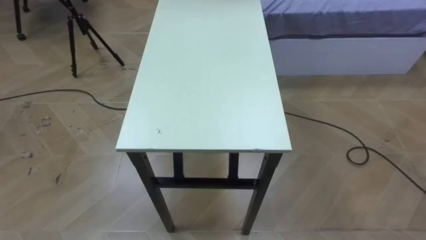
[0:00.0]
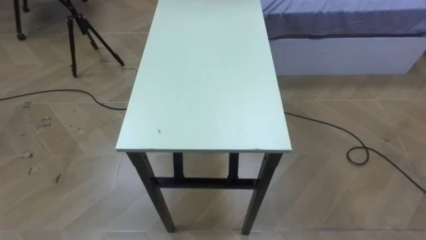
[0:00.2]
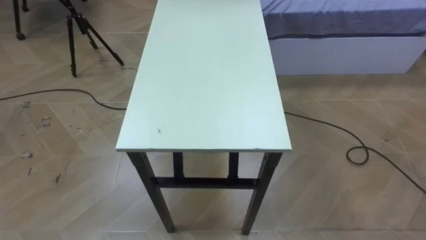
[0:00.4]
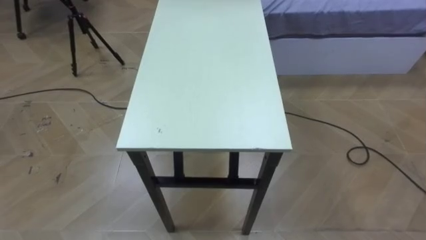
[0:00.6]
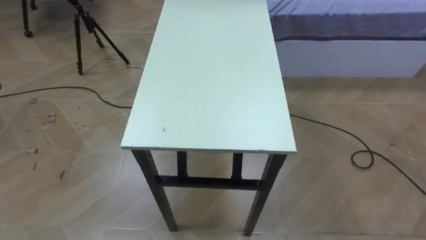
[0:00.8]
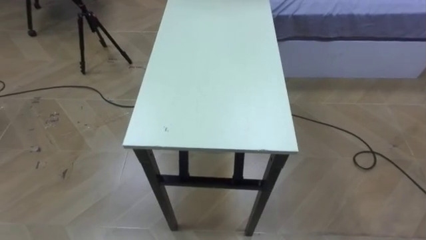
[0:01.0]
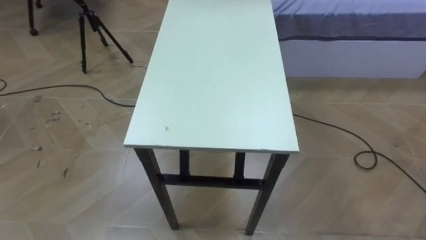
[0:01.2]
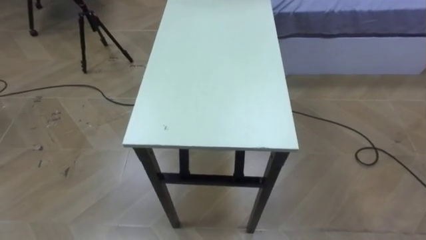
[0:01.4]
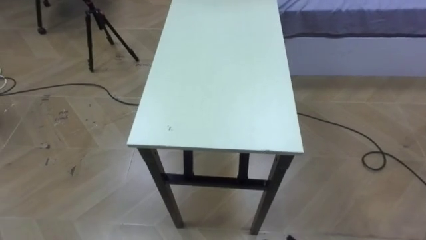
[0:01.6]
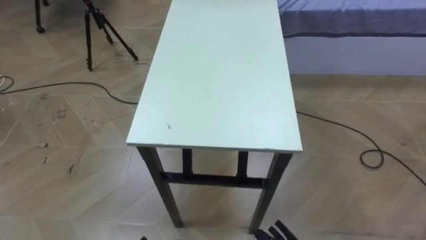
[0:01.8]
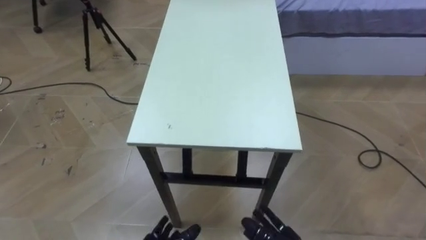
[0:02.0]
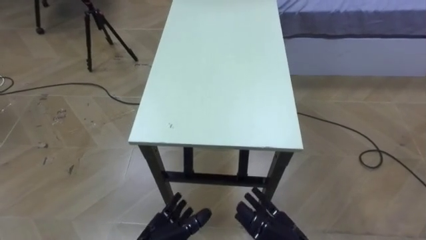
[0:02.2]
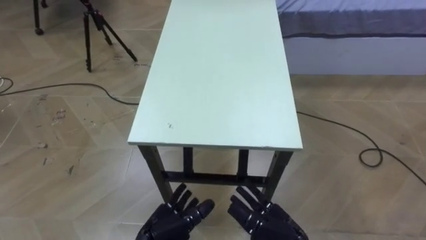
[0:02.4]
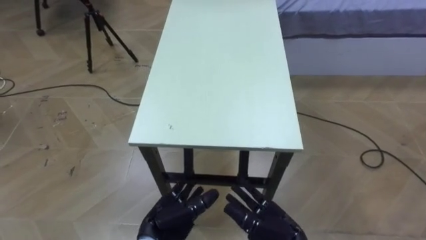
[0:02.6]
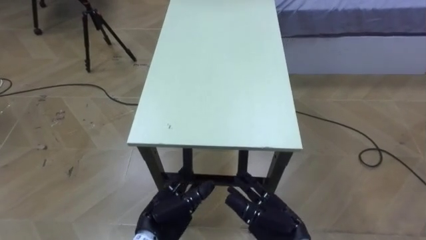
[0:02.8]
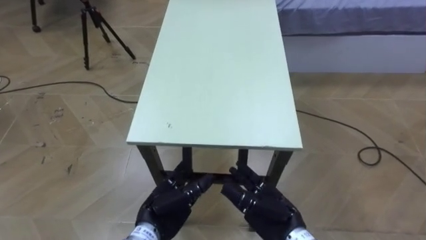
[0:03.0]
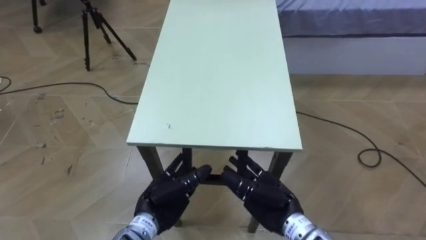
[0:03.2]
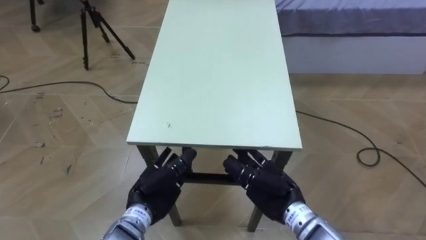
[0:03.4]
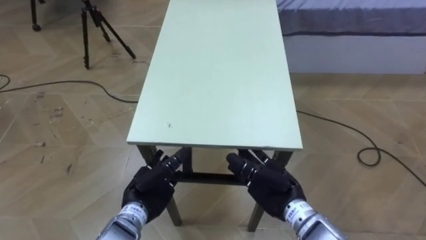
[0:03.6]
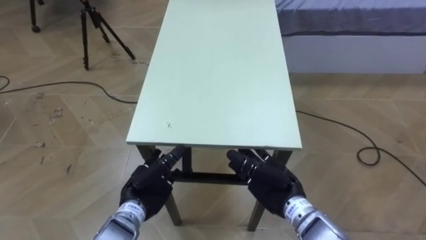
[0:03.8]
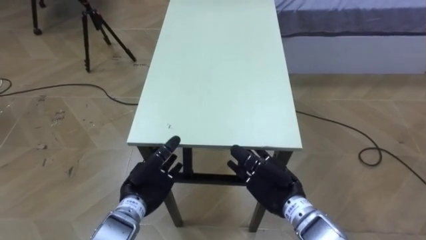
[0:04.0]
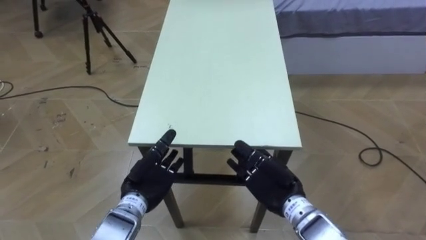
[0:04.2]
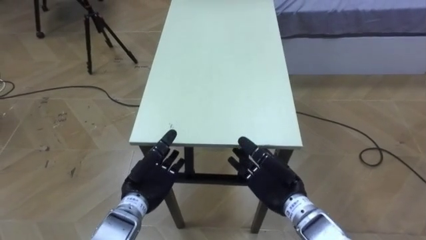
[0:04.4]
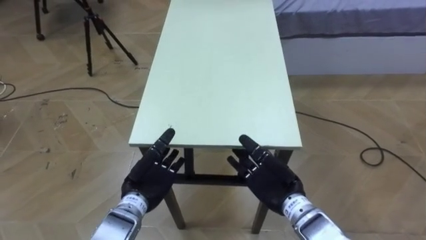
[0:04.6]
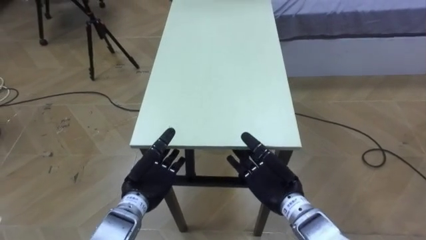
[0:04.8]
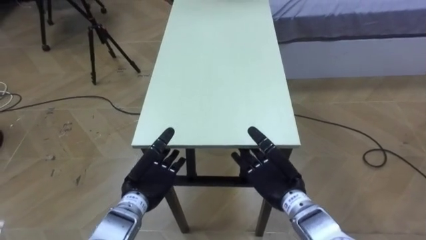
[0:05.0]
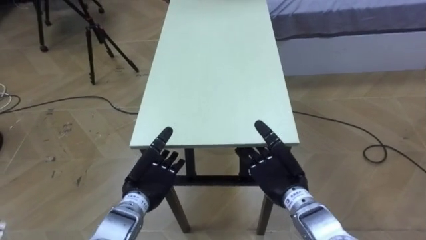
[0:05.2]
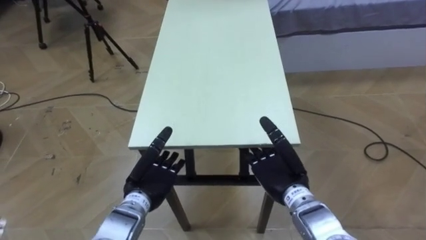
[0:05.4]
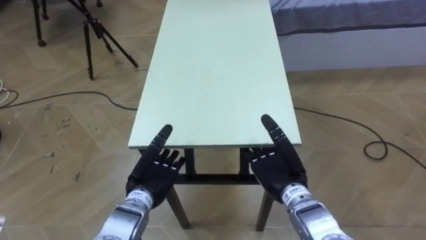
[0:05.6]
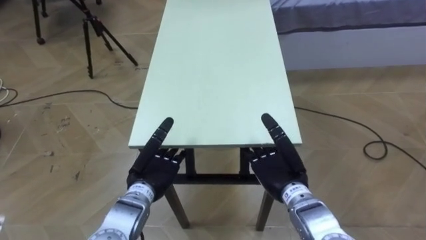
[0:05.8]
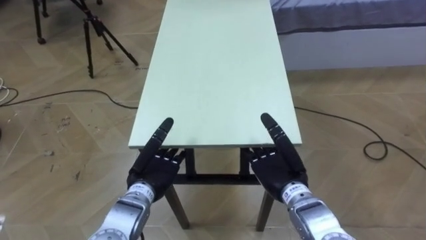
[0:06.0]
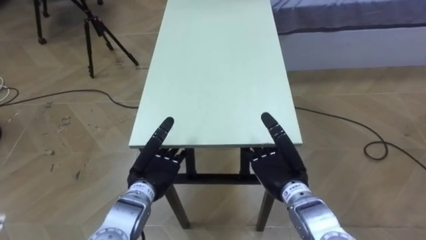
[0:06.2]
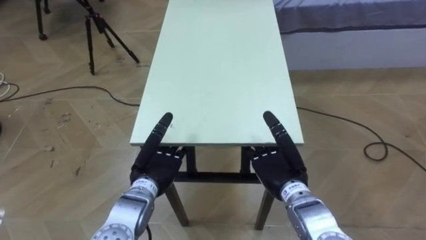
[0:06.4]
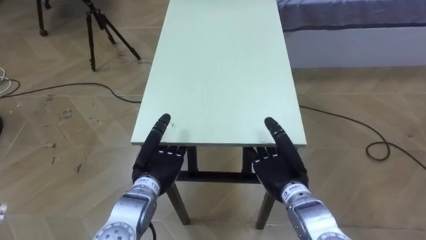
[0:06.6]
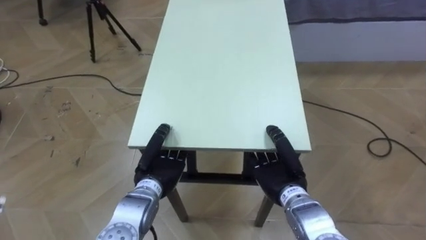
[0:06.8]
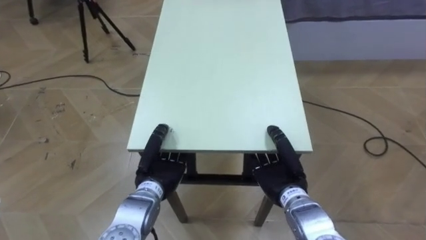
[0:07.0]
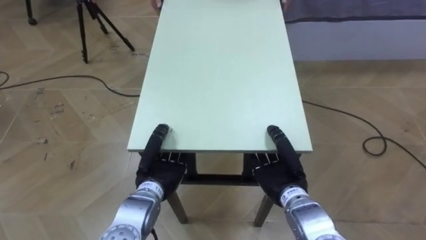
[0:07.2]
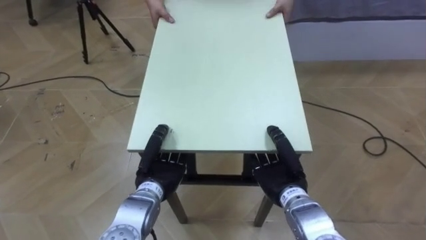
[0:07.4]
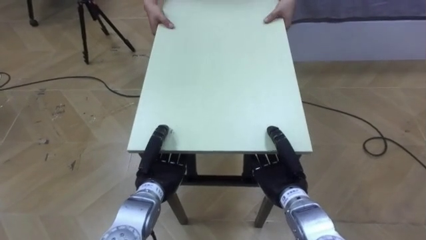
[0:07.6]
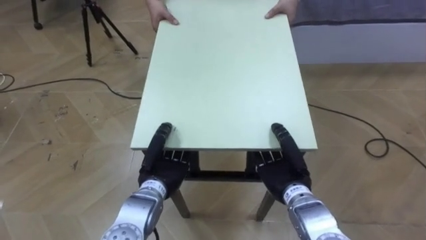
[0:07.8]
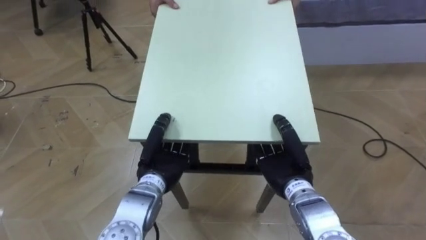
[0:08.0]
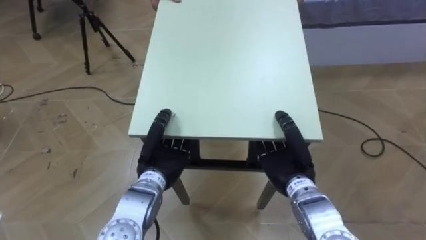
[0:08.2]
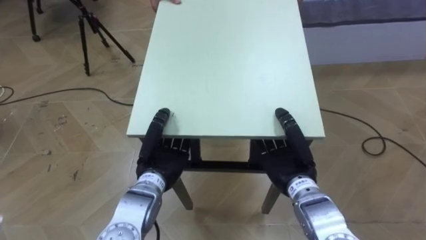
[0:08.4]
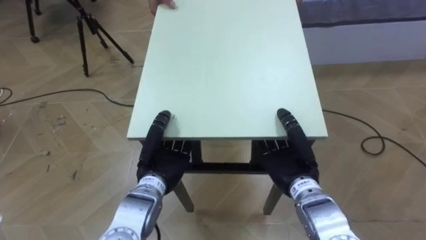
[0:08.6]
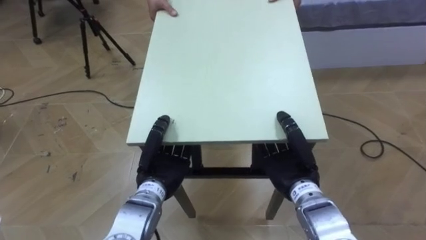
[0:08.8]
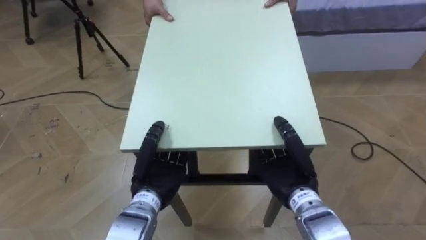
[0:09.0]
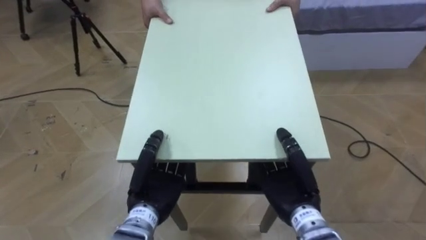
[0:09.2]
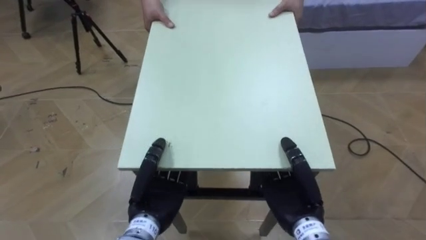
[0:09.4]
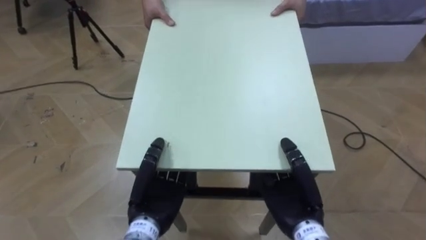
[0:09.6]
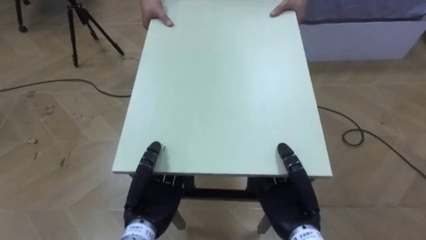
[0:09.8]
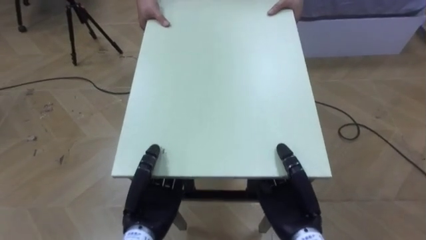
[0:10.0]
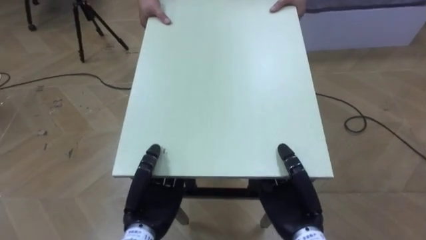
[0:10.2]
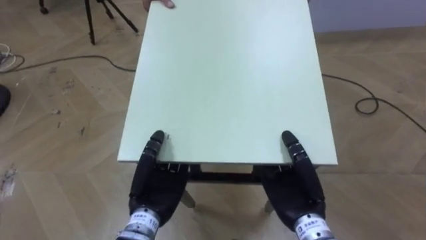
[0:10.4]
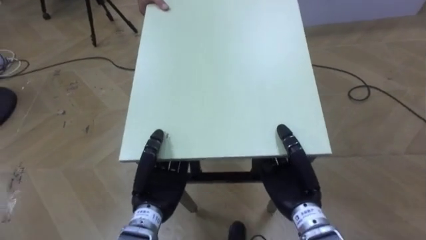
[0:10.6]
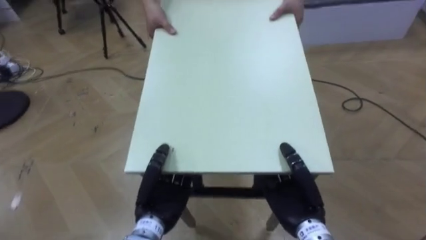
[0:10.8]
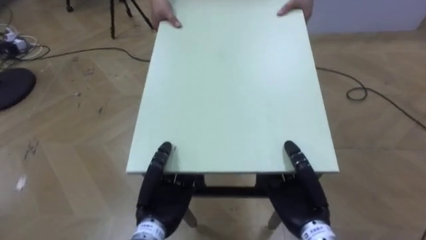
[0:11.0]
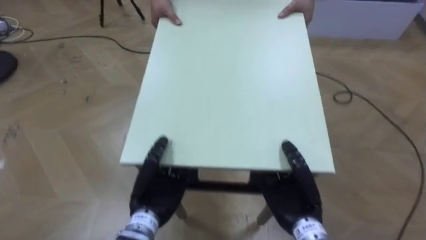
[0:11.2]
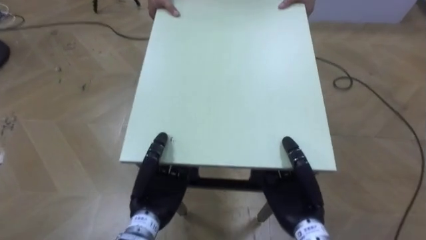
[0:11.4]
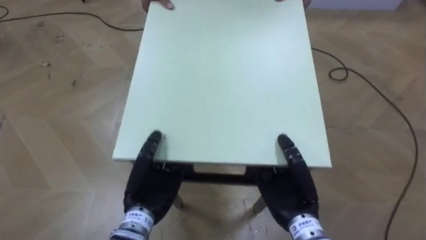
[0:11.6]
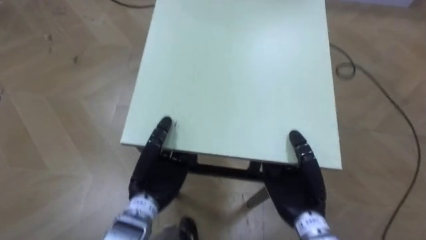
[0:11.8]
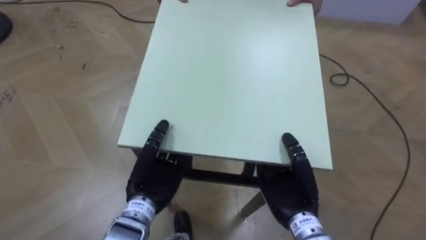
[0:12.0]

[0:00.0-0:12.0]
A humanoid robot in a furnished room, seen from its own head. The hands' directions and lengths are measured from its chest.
Task of the whole recording: Move the table to the back left with someone.
3.0 to 4.4 s: The left hand shifts by some 5 cm; the right hand goes some 5 cm forward.
6.0 to 7.6 s: The left hand closes up; the right hand closes.

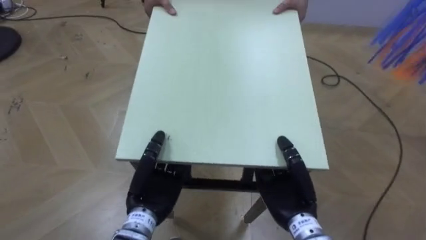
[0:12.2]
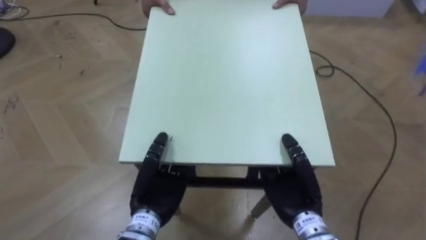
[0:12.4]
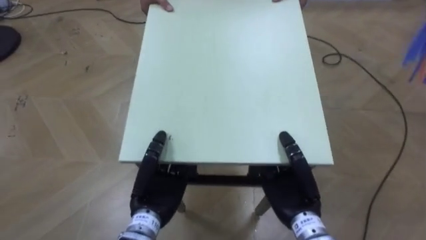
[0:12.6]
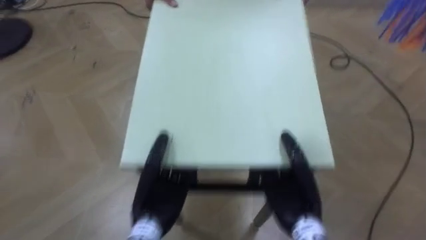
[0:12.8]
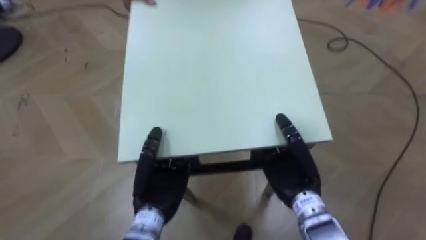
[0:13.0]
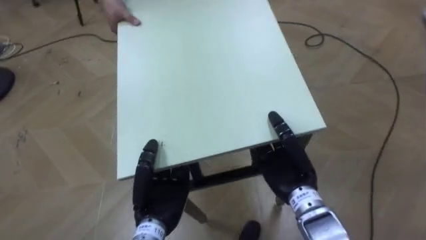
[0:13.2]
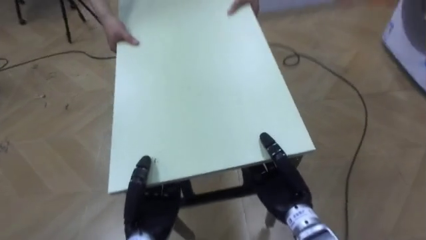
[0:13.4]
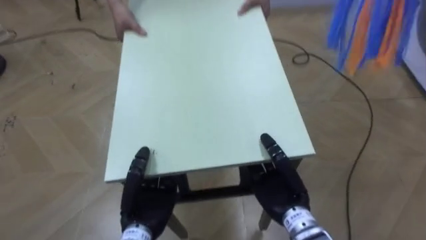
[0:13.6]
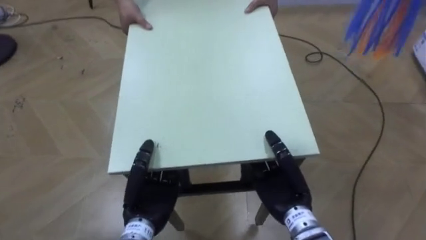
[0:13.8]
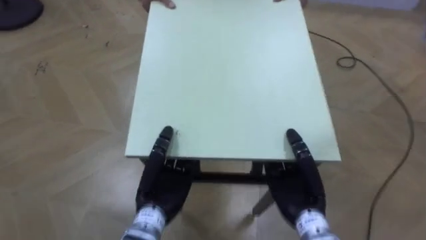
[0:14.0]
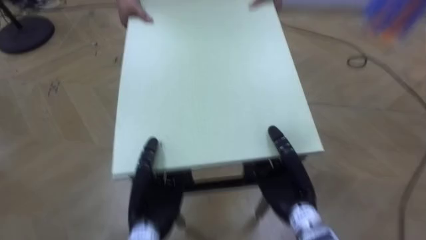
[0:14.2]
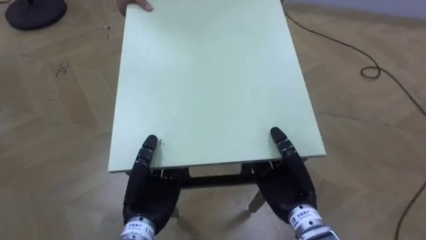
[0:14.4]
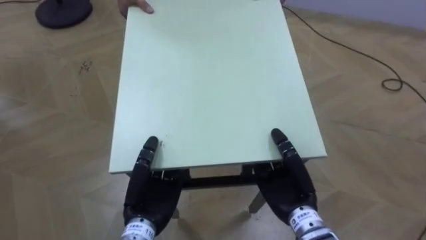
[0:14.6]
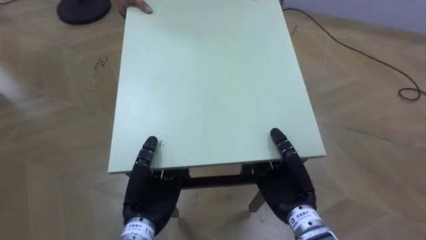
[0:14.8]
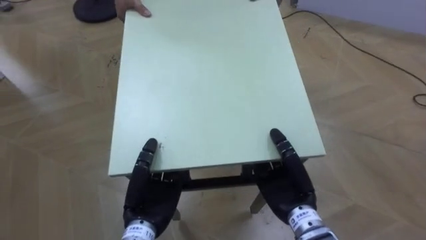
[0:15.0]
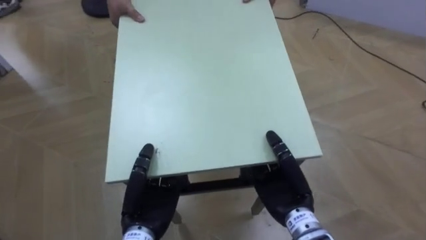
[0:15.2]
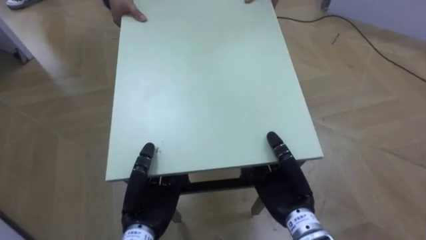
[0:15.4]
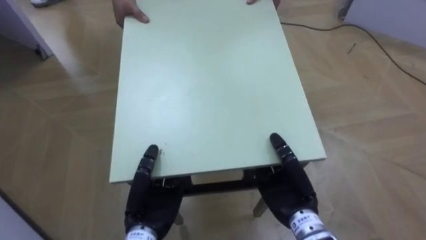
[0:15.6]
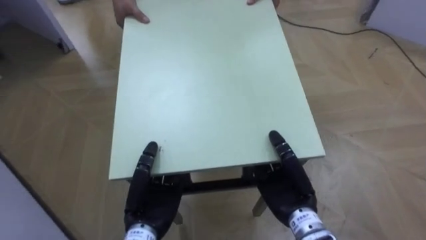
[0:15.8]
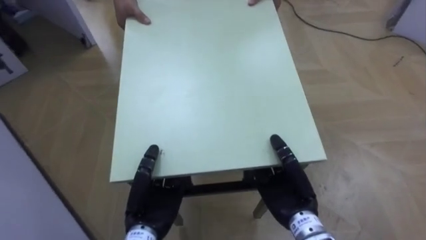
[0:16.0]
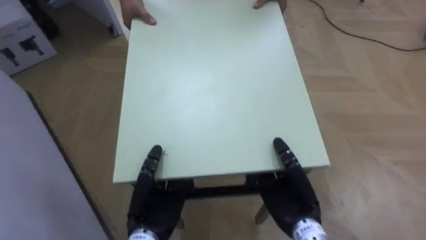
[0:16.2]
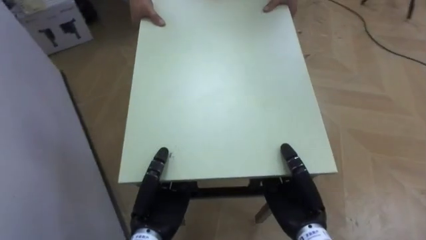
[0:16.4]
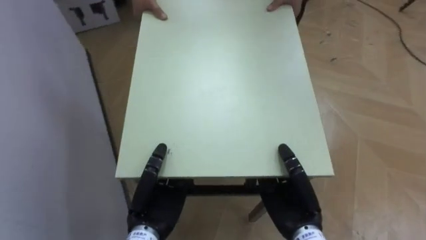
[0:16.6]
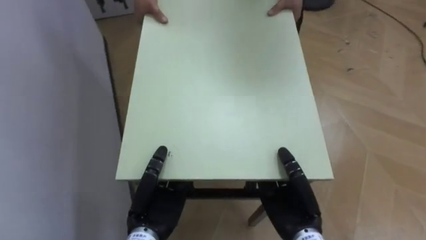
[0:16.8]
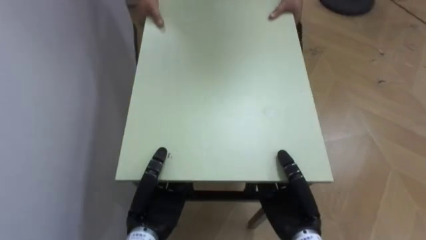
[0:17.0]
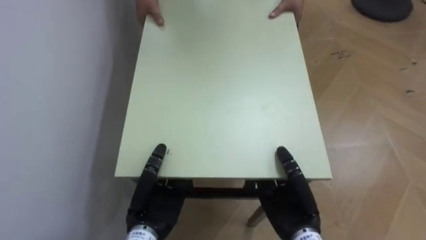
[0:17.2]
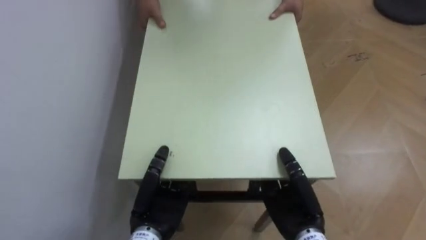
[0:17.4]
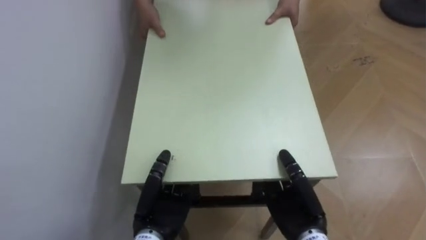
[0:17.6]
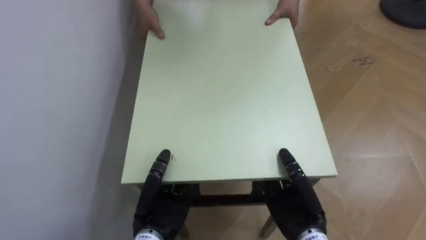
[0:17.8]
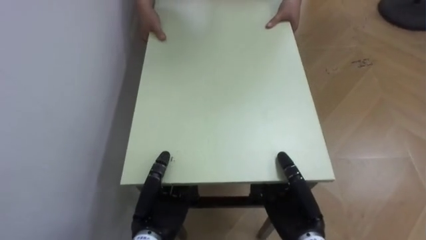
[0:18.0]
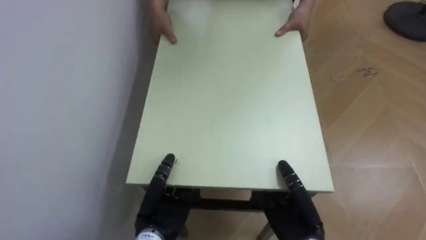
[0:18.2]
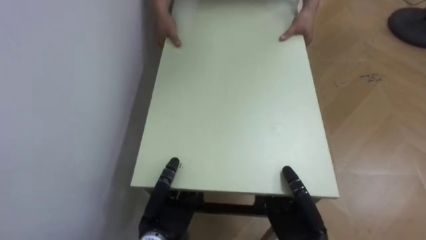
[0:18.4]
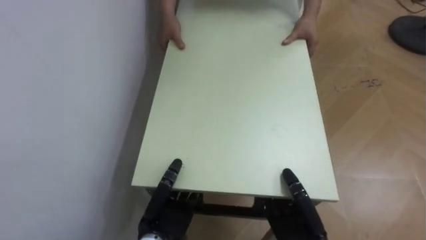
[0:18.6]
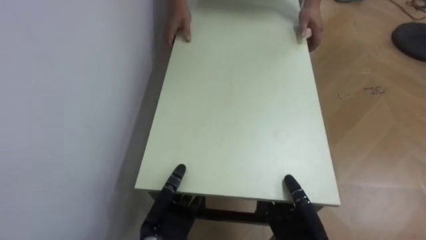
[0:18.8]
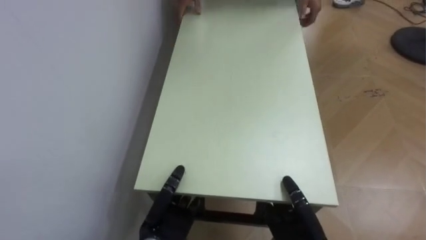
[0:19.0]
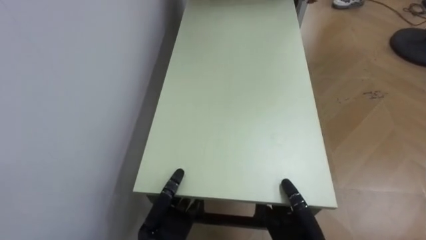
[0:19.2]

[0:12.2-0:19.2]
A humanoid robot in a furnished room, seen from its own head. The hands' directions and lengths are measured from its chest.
Task of the whole recording: Move the table to the back left with someone.
15.0 to 16.4 s: The robot rotates about 40 degrees to its left.
16.4 to 17.8 s: The robot faces roughly 35 degrees further to its left.
17.8 to 19.2 s: Both hands travel together downward, approximately 5 cm.
